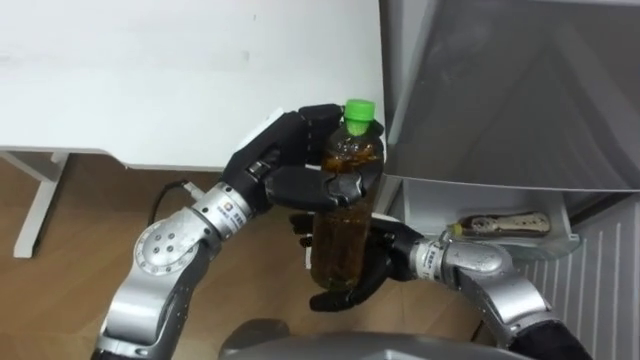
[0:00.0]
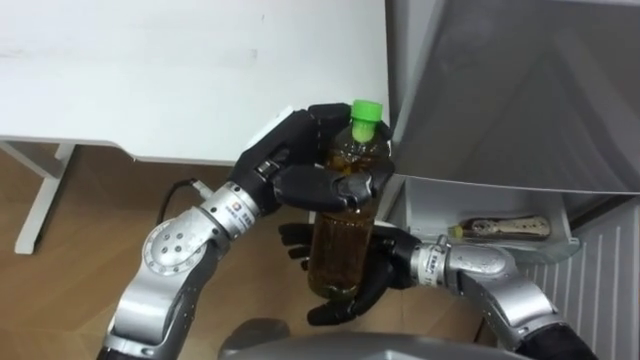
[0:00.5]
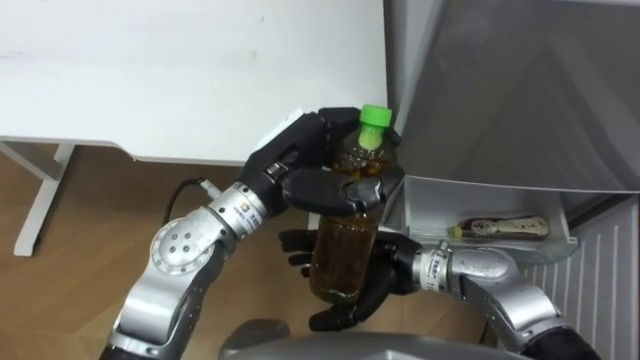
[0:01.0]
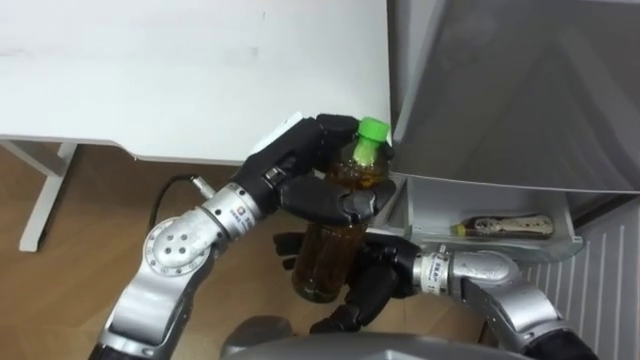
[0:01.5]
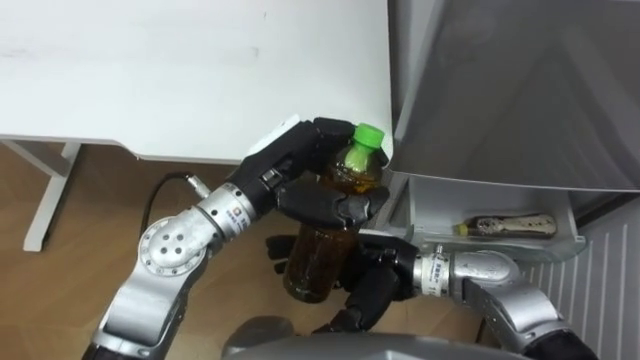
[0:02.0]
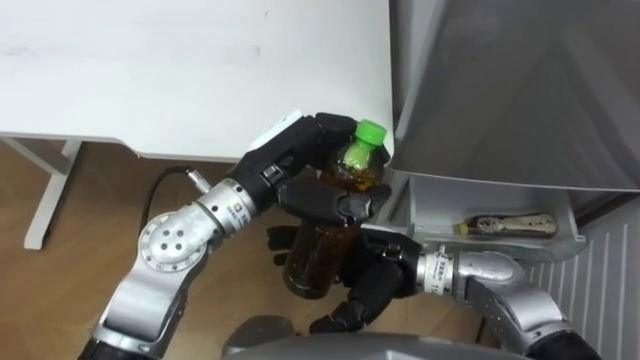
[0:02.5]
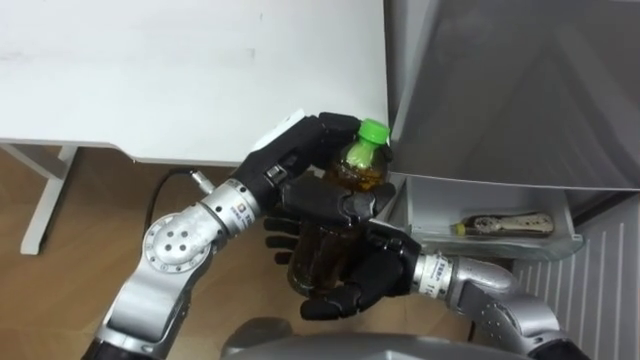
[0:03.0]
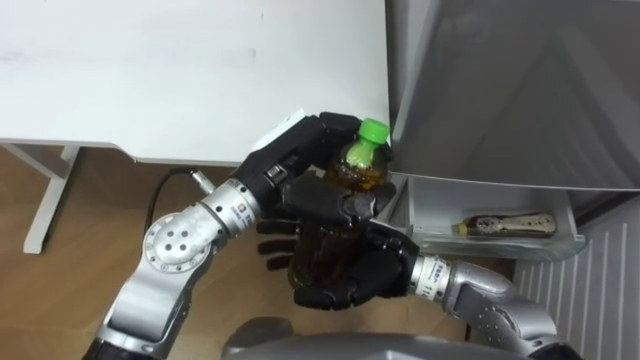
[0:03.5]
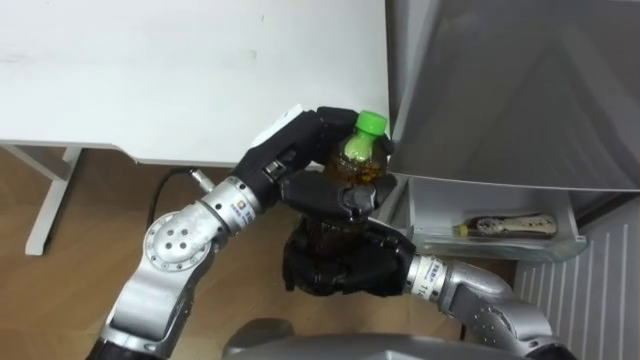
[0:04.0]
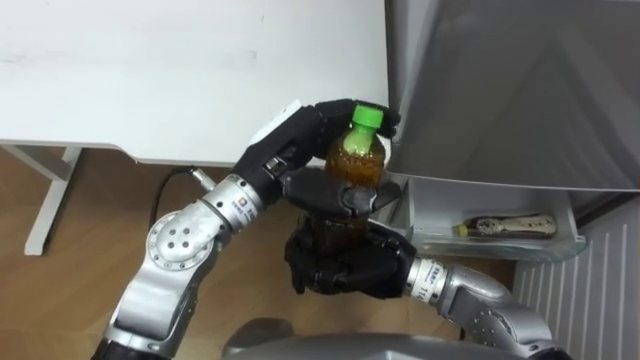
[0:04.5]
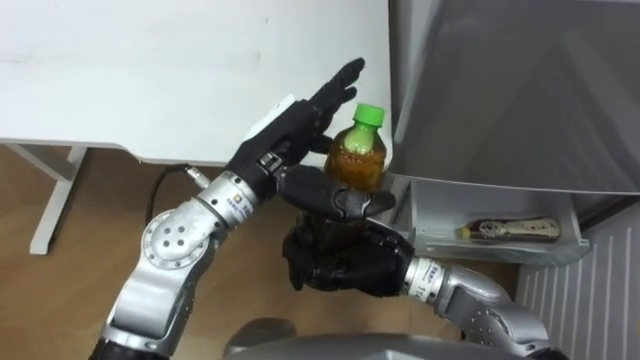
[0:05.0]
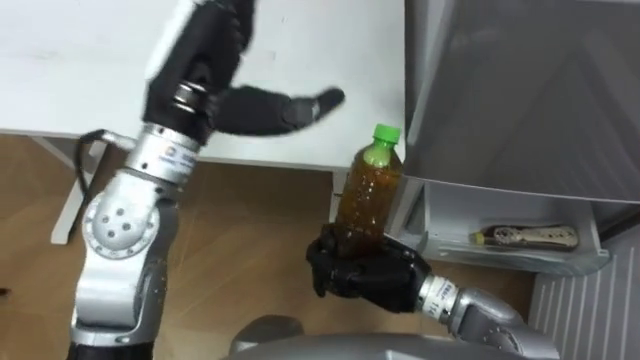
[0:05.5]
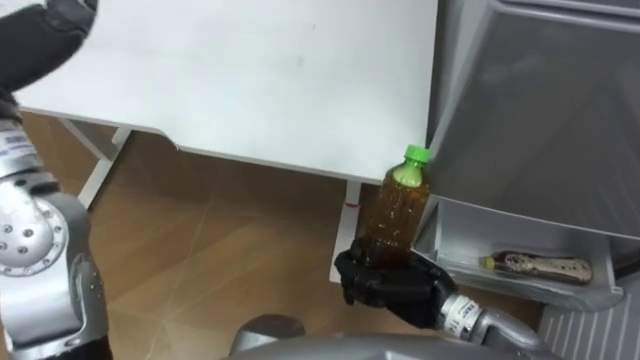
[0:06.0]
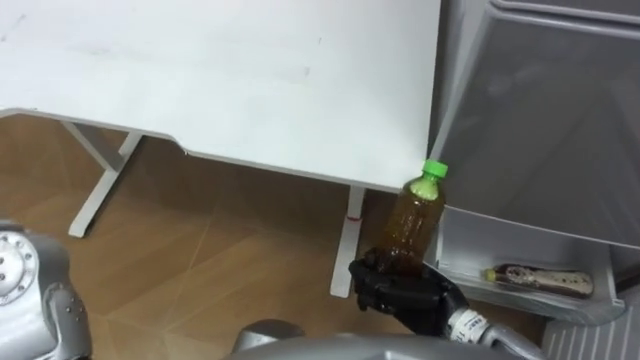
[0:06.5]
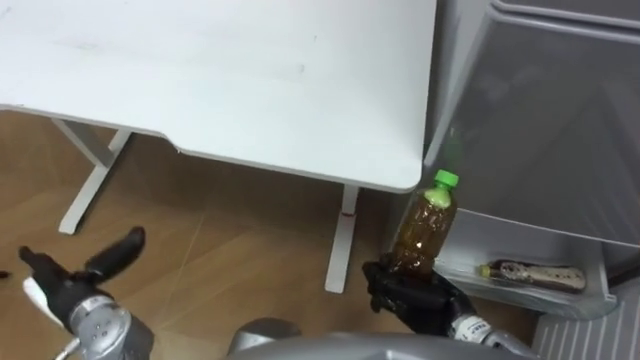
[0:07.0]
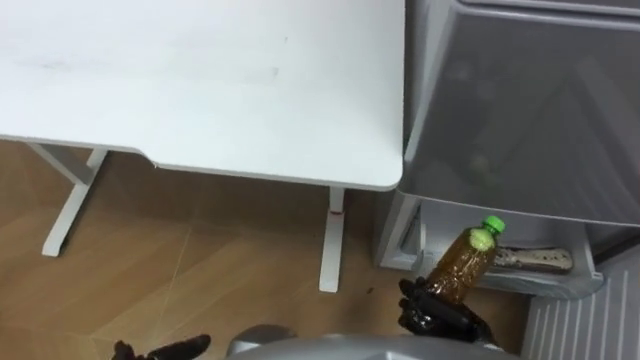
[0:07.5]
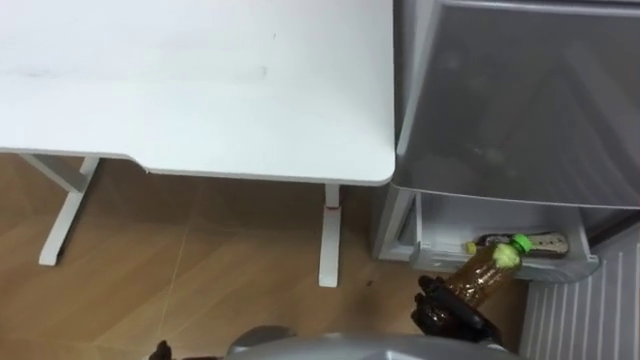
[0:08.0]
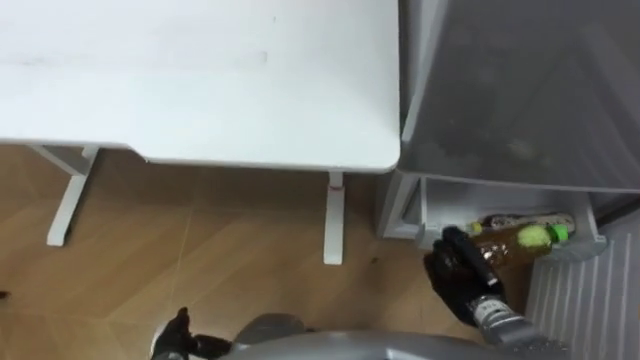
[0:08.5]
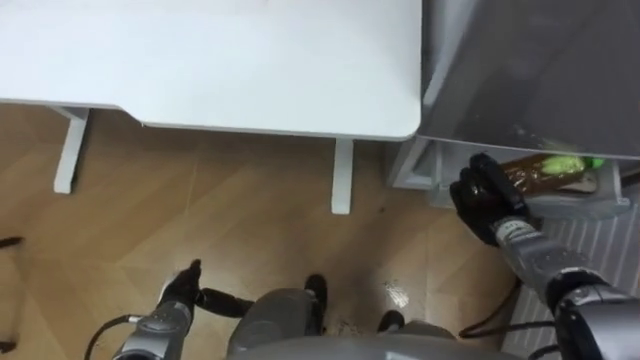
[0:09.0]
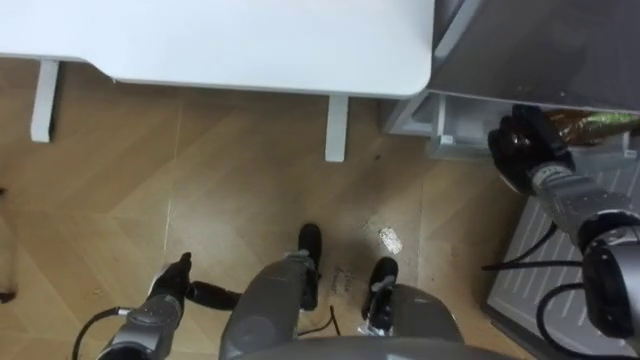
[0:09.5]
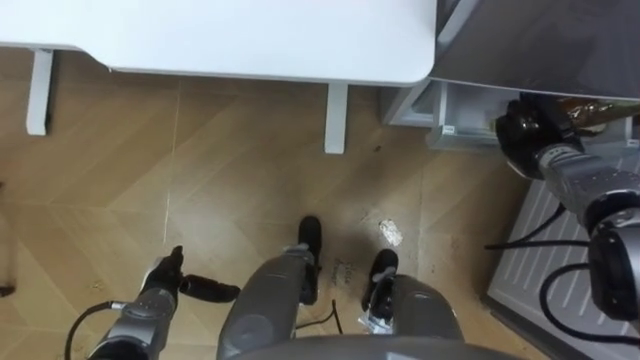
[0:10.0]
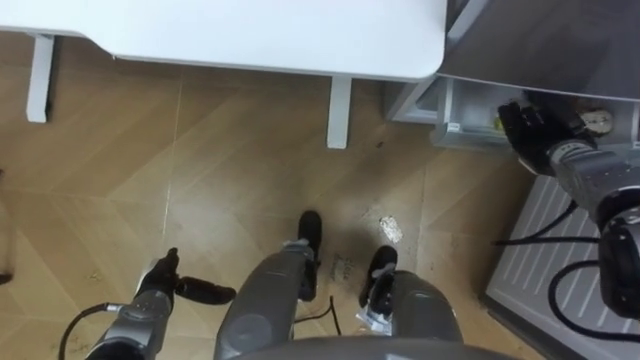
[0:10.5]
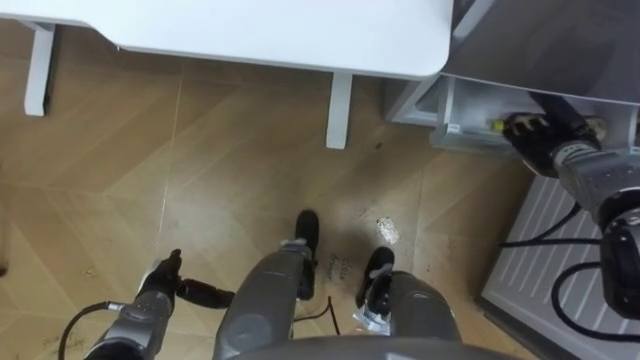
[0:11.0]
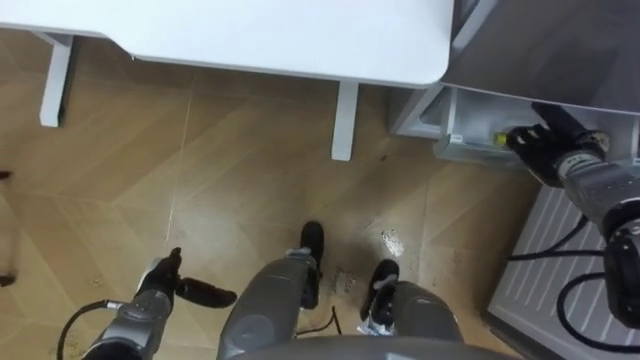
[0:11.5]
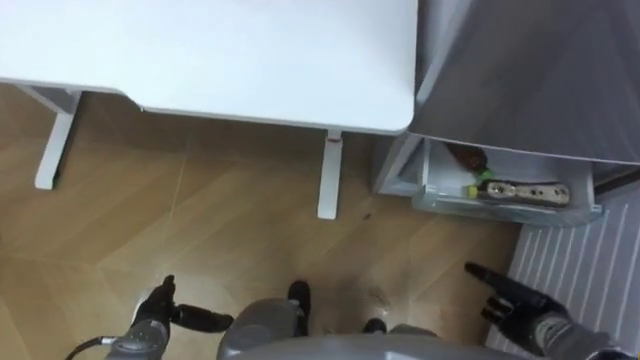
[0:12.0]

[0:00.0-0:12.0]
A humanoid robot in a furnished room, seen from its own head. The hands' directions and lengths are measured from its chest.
Task of the whole recording: Place the drink on the table on the bottom shelf of the refrigerator, then close the drawer and the refrigerator door.
0:02.0 to 0:04.0: The right hand closes up.
0:04.0 to 0:06.0: The right hand is displaced downward and to the right by roughly 10 cm.
0:06.0 to 0:08.0: The right hand goes some 15 cm downward, to the right and backward.
0:08.0 to 0:10.0: The right hand is displaced forward, upward and to the right by about 30 cm.
0:10.0 to 0:12.0: The right hand moves backward and downward, some 25 cm, and opens.

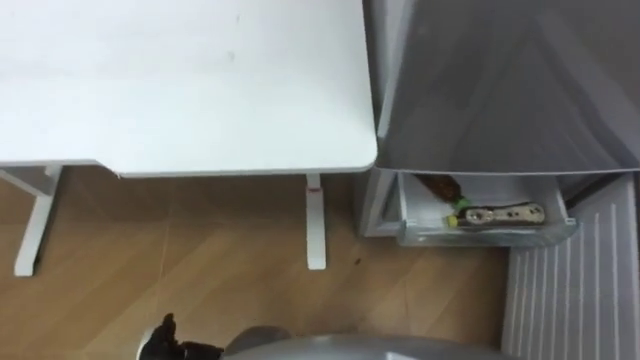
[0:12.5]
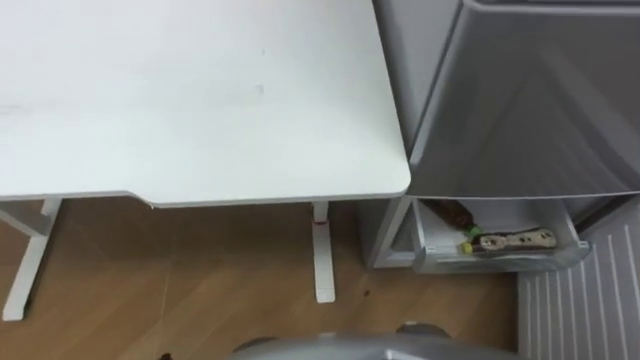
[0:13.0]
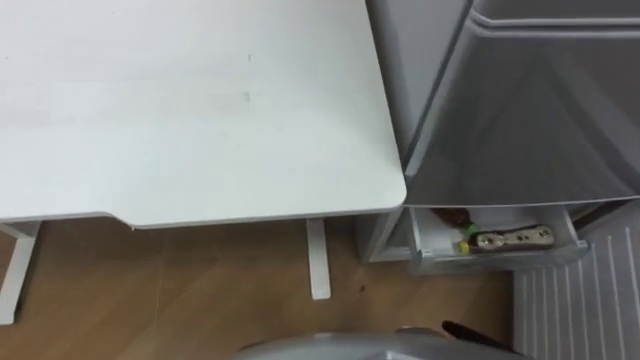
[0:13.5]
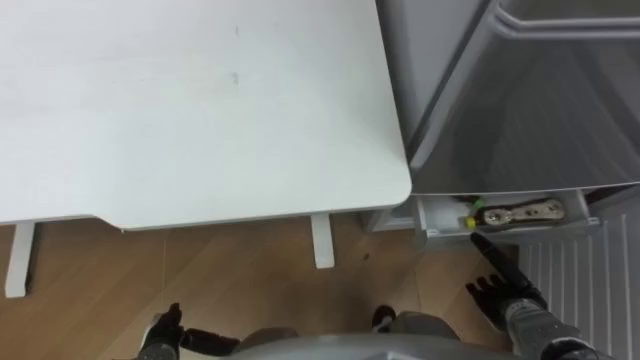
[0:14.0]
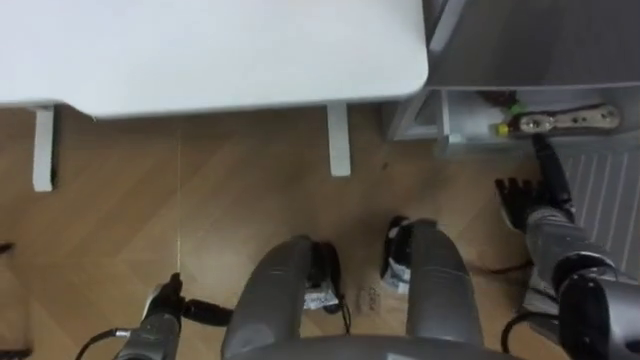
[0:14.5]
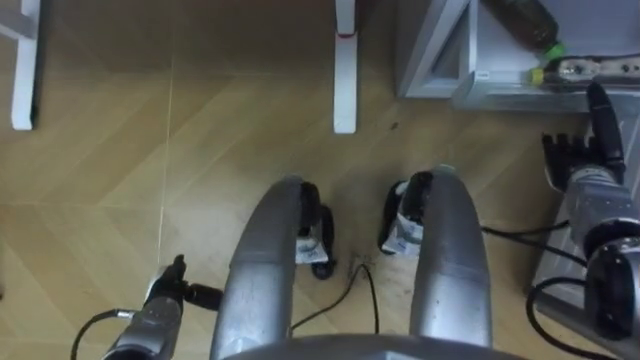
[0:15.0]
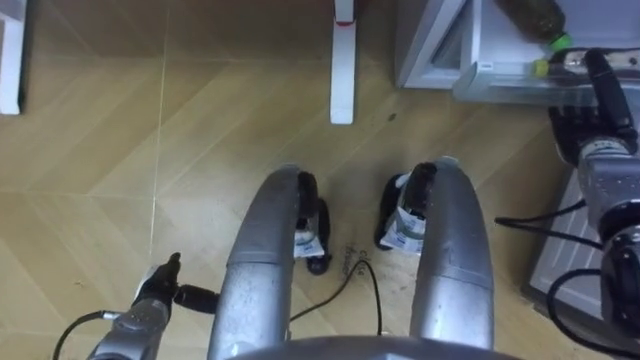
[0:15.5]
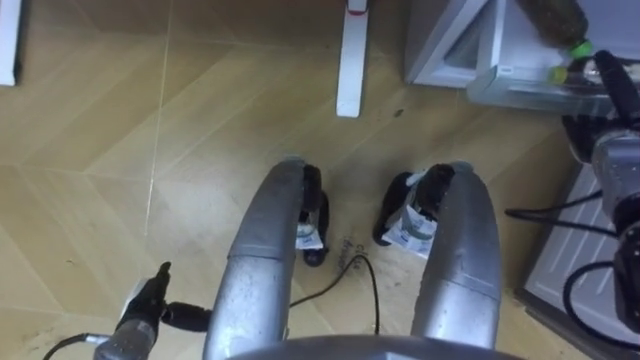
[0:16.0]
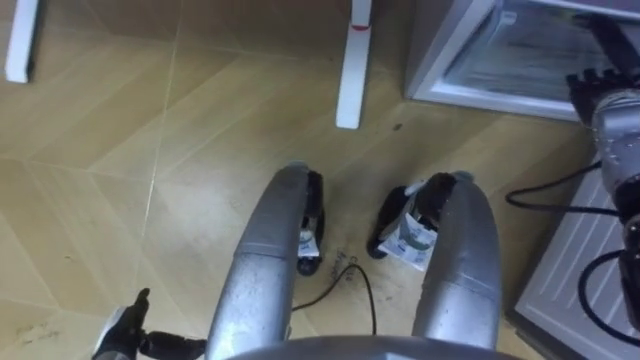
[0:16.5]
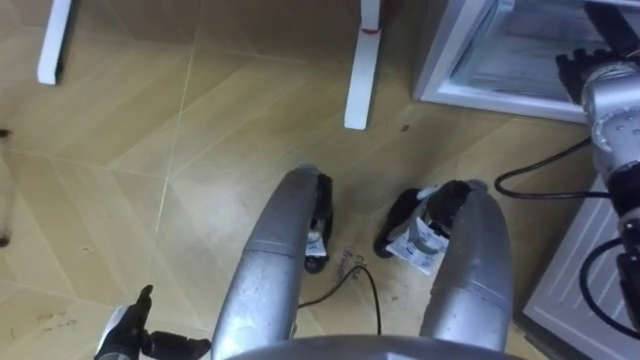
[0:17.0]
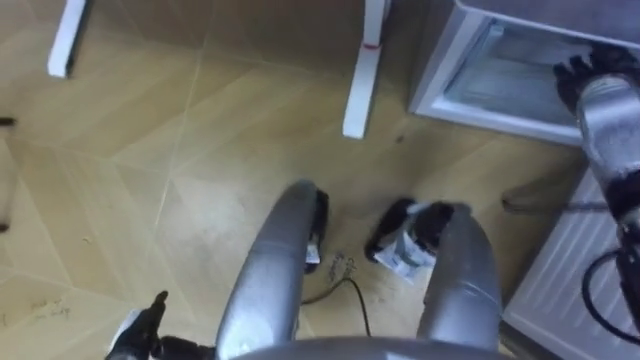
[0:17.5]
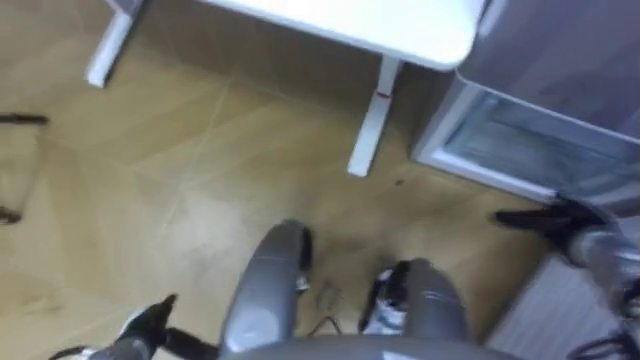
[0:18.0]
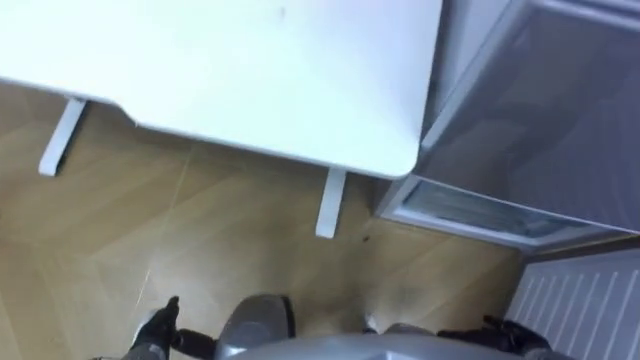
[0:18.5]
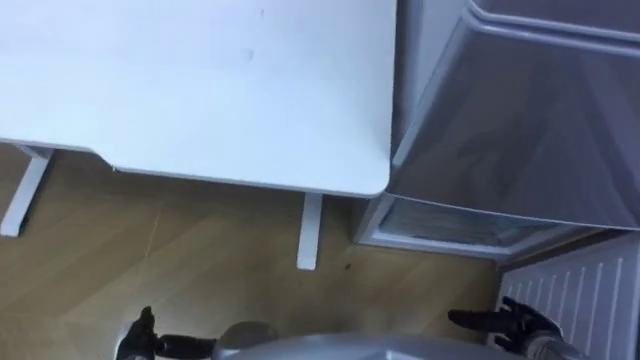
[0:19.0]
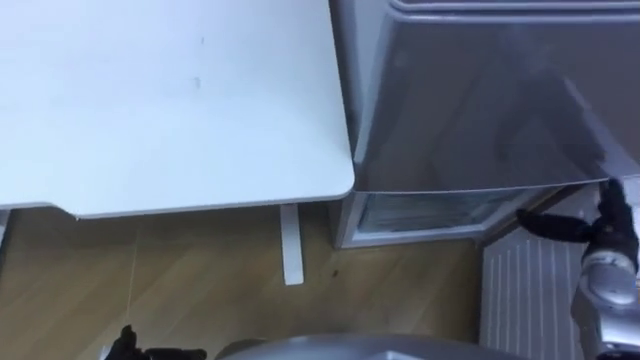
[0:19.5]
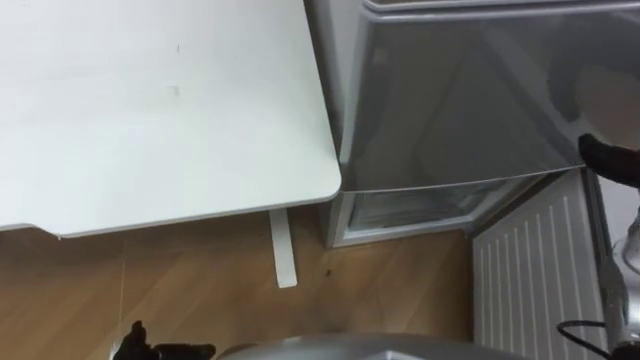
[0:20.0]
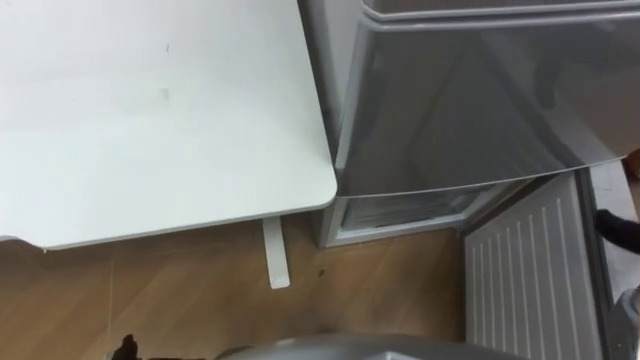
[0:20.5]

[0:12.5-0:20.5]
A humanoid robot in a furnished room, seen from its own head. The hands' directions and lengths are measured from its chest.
Task of the whole recording: Place the drink on the table on the bottom shelf of the refrigerator, then close the drawer and the refrigerator door.
0:14.5 to 0:16.5: The right hand travels upward and forward by roughly 20 cm. The left hand shifts by approximately 5 cm.
0:16.5 to 0:18.5: The right hand moves backward and downward, approximately 40 cm.
